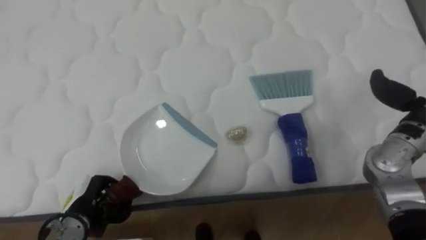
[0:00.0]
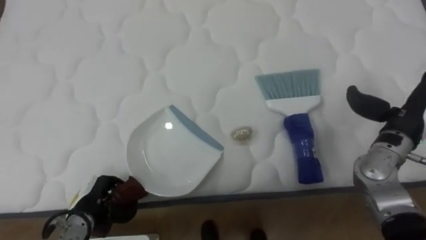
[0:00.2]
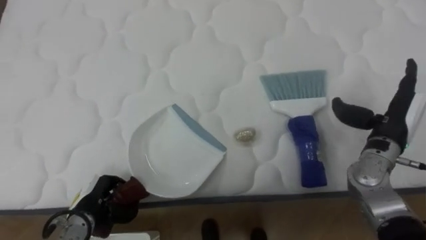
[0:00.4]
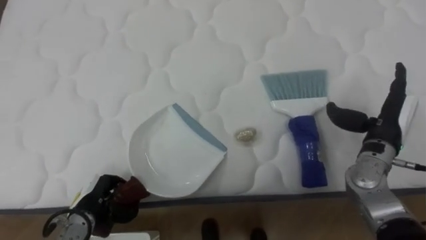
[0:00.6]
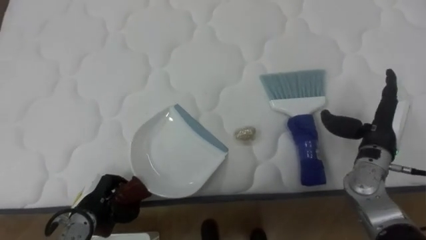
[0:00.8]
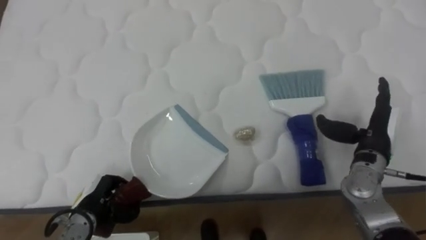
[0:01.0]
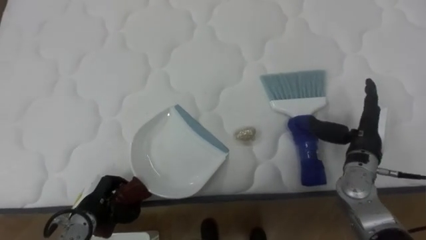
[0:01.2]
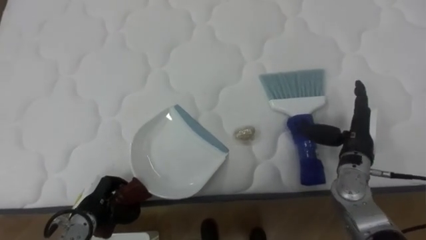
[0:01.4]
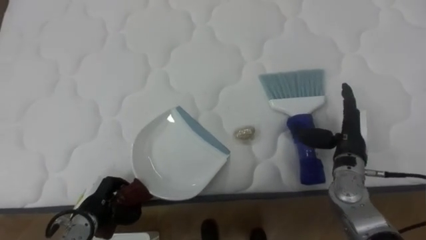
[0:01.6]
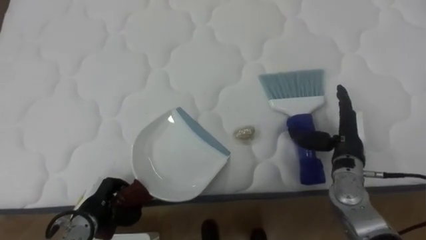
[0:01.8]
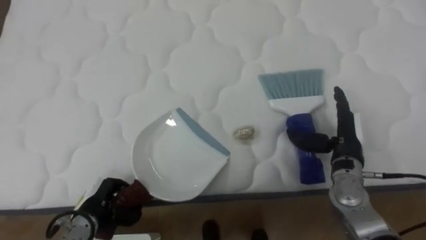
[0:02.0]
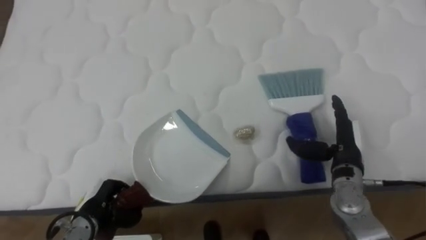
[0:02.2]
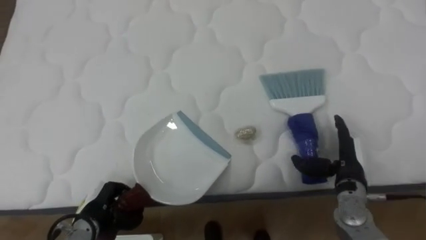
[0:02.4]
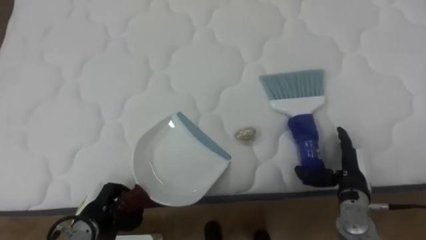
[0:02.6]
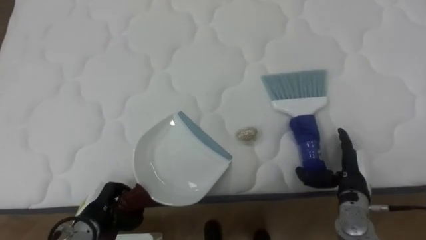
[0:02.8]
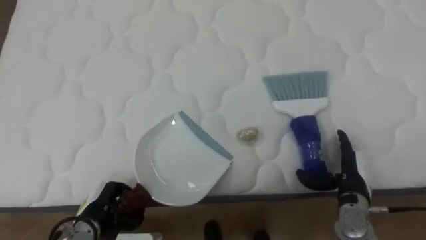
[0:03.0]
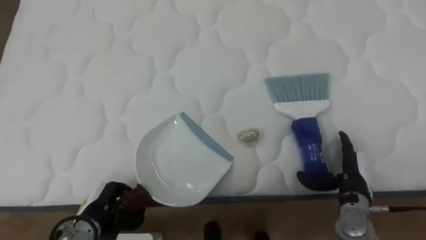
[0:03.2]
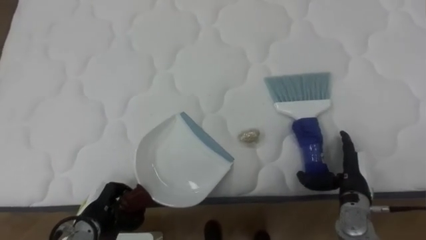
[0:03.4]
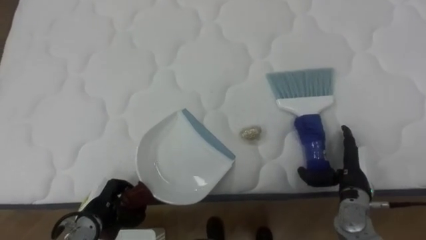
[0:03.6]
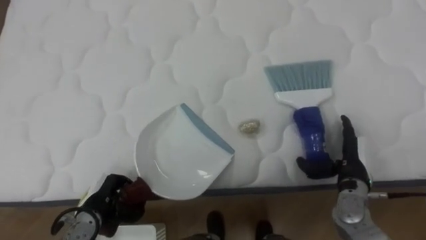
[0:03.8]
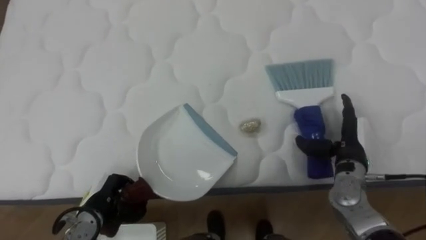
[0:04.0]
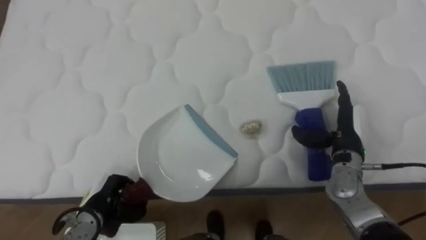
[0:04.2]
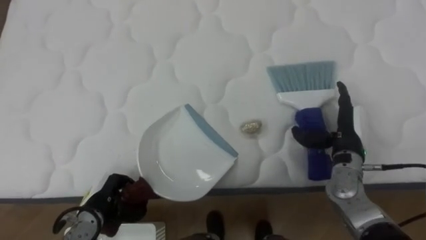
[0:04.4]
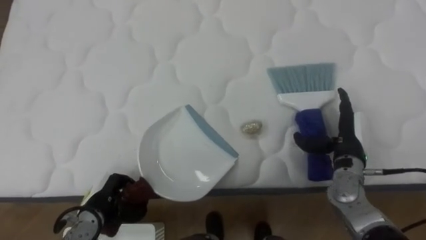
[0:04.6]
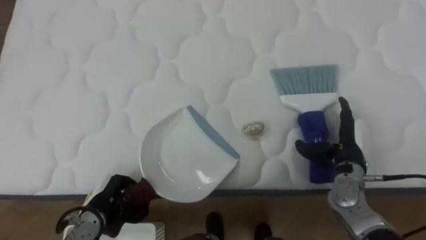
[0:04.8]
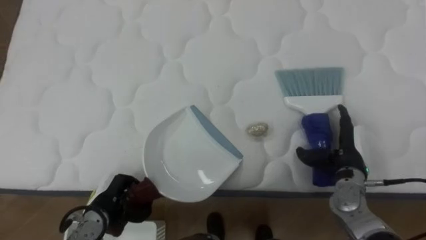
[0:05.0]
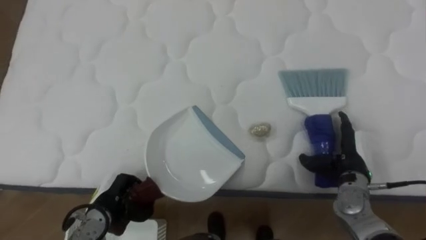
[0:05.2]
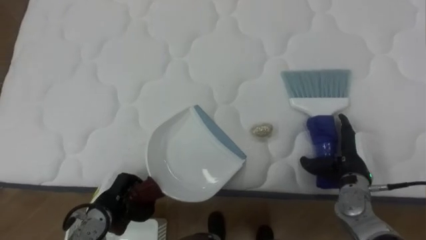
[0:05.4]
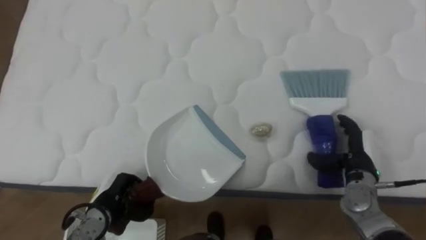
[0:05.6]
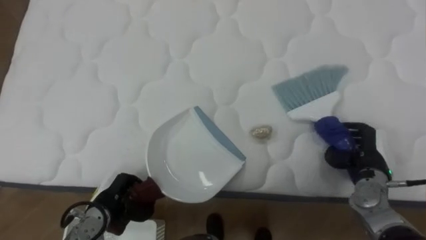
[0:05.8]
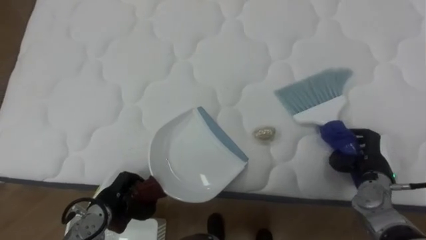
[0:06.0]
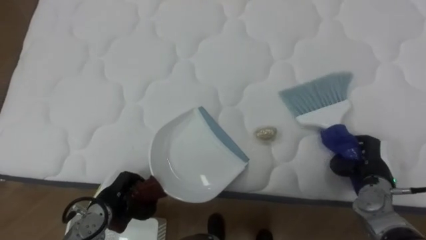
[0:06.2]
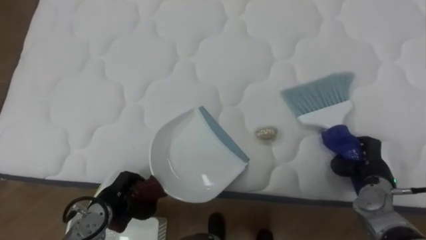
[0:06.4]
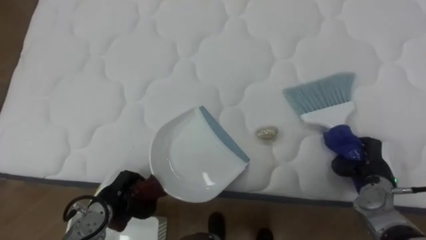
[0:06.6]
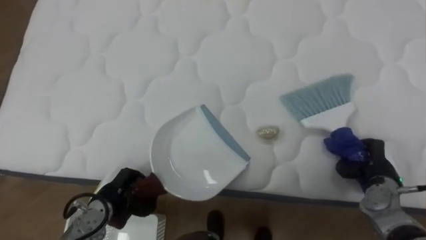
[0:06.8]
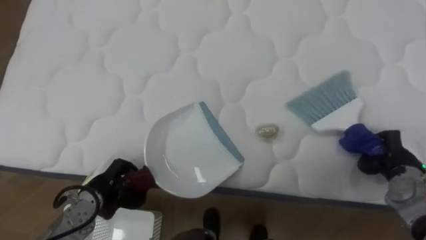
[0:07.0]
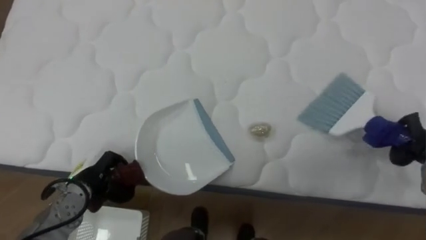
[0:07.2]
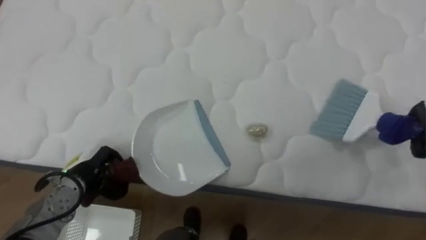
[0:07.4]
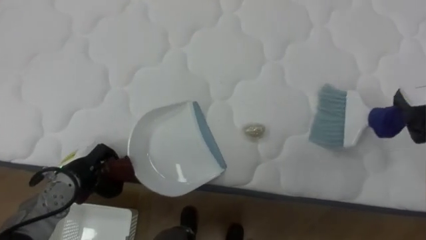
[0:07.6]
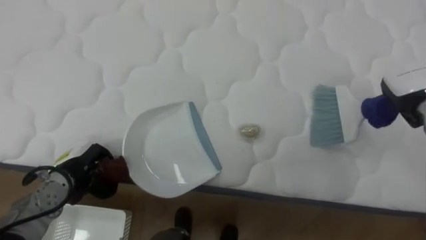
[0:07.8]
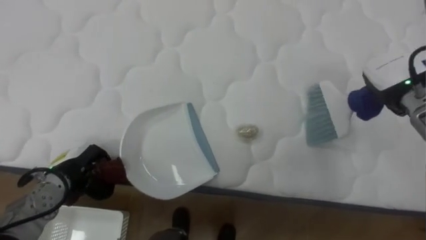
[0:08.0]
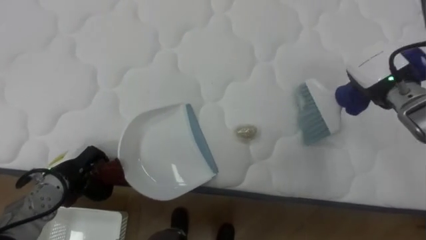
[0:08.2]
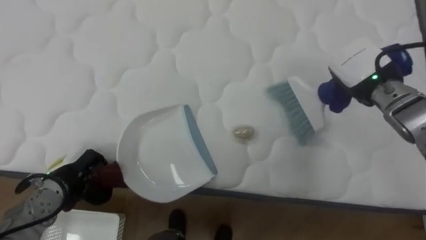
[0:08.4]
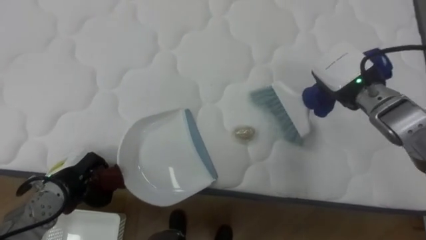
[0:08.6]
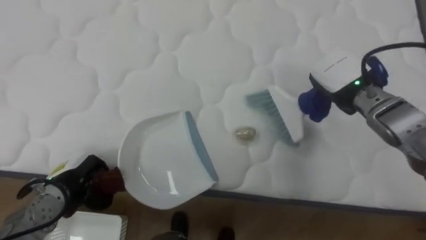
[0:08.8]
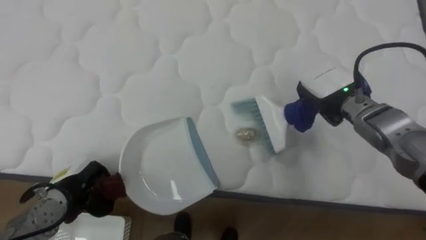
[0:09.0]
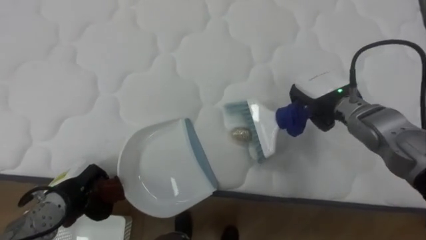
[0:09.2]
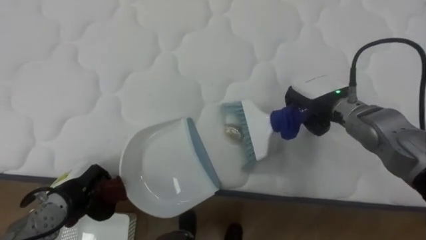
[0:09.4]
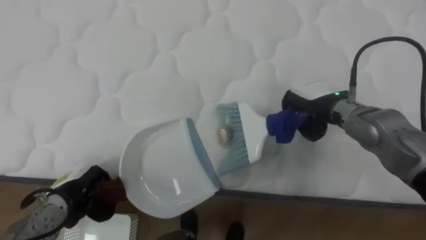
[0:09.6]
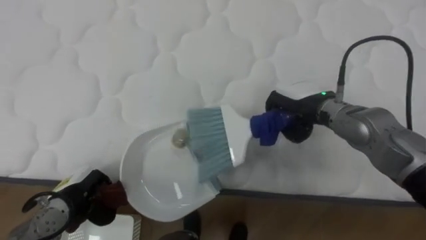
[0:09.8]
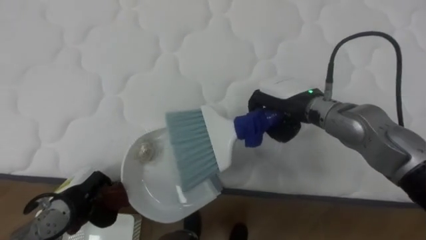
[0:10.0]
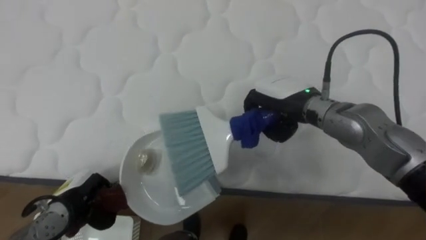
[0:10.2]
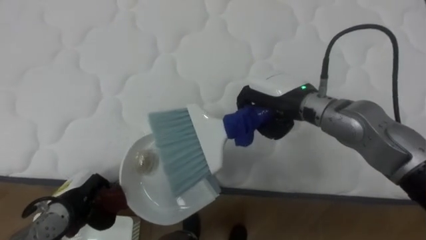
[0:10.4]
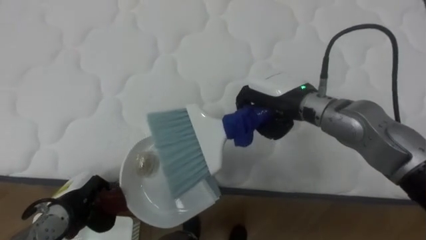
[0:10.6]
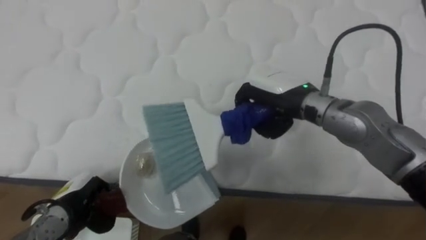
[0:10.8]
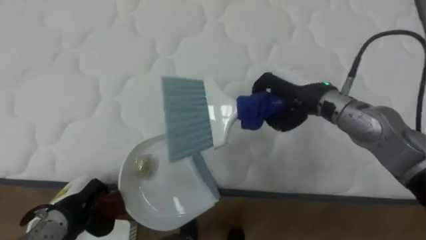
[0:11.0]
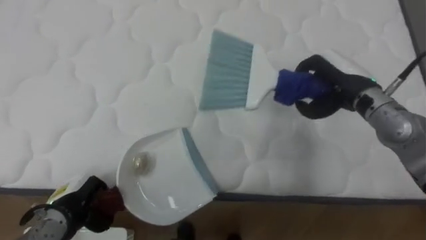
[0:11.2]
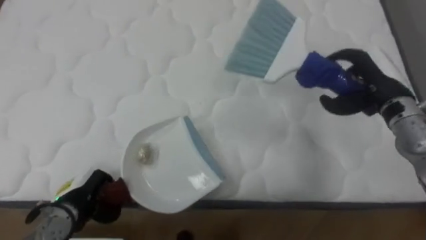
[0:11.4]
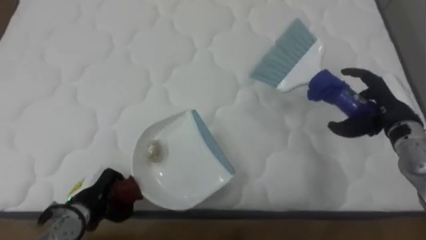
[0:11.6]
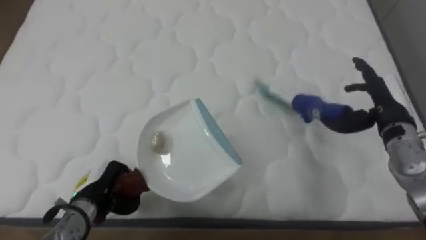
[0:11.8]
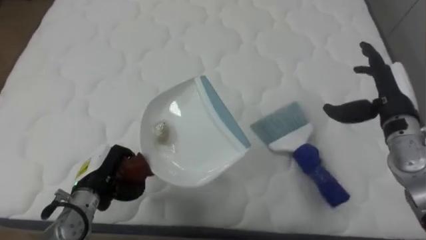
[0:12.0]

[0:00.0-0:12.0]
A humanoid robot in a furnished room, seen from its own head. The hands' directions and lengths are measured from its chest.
Task of the whole recording: Pick up the brush on your right and the dustpan on your left. Use the brush to sweep the crumpled paper on the bed into the dustpan, then turn left and empty it into the basket.
0:01.6 to 0:03.0: The right hand goes about 10 cm downward and backward.
0:03.0 to 0:04.4: The right hand moves upward and forward, about 10 cm.
0:04.4 to 0:06.0: The right hand moves to the right and downward, some 10 cm, and closes up.
0:06.0 to 0:07.6: The left hand shifts about 10 cm upward and to the left.
0:07.6 to 0:09.0: The right hand heads to the left, covering approximately 20 cm.
0:09.0 to 0:10.4: The right hand moves to the left, some 10 cm.
0:10.4 to 0:12.0: The right hand shifts about 20 cm to the right, and opens up. The left hand moves to the right, approximately 5 cm.

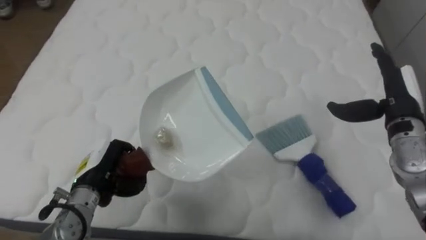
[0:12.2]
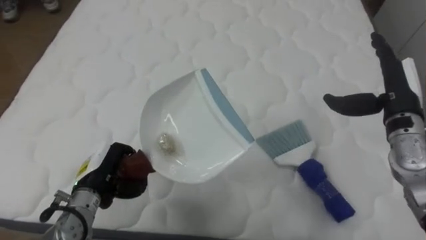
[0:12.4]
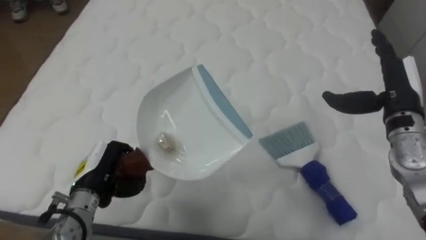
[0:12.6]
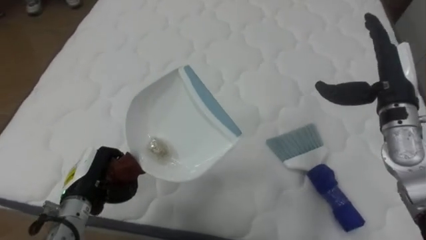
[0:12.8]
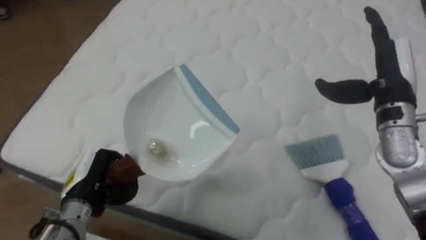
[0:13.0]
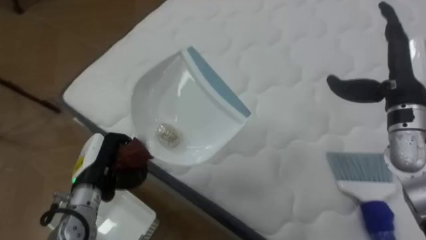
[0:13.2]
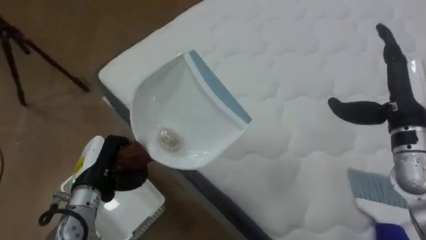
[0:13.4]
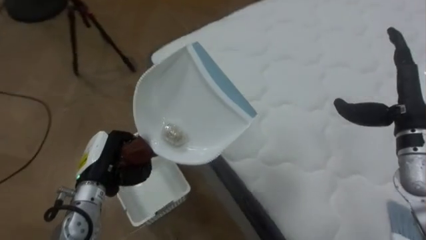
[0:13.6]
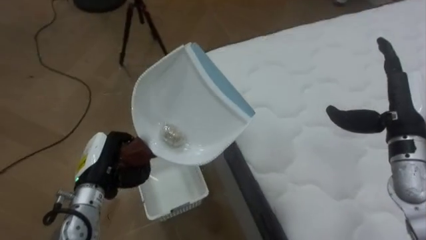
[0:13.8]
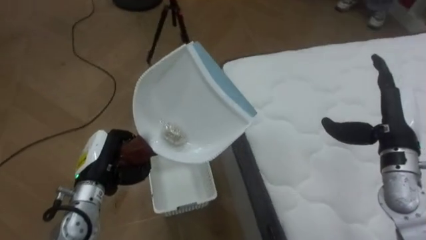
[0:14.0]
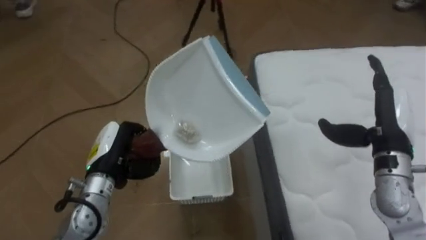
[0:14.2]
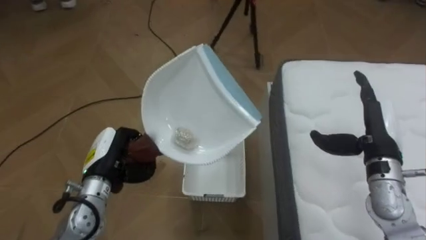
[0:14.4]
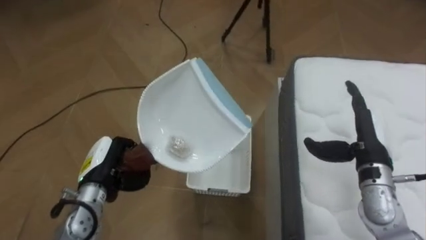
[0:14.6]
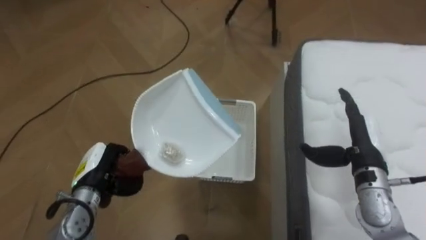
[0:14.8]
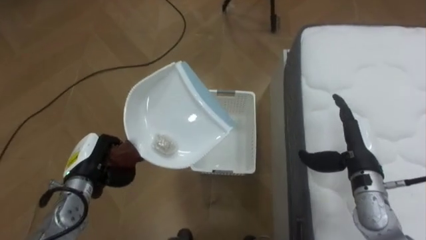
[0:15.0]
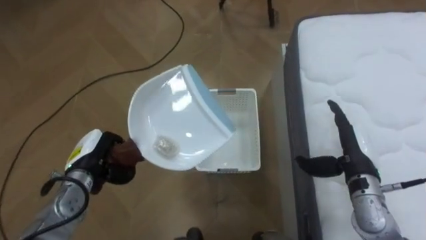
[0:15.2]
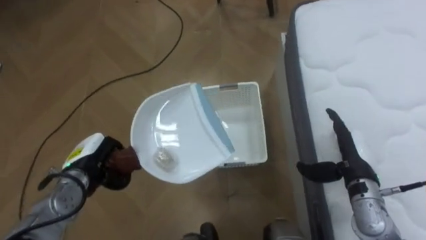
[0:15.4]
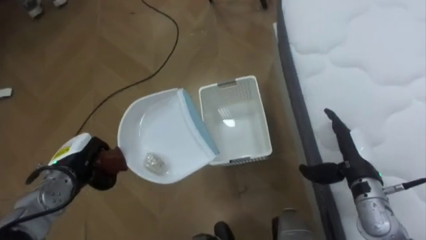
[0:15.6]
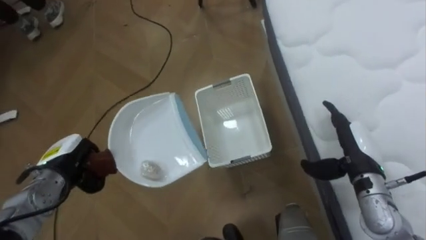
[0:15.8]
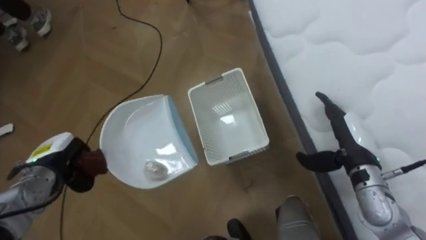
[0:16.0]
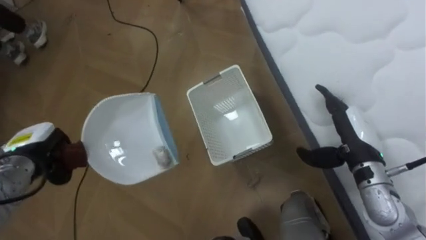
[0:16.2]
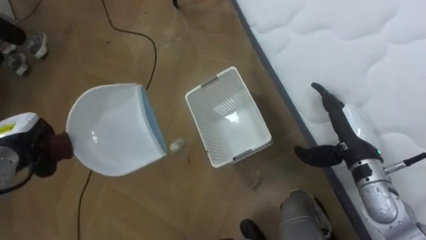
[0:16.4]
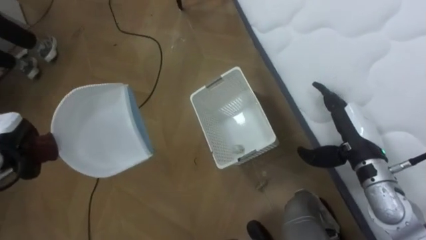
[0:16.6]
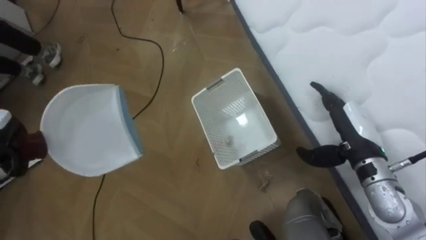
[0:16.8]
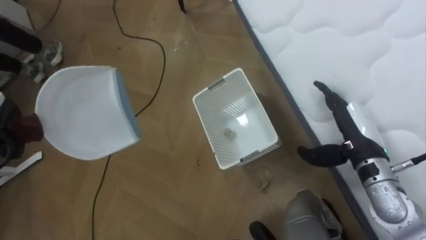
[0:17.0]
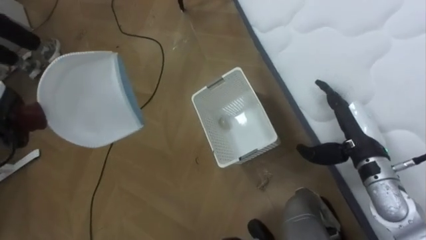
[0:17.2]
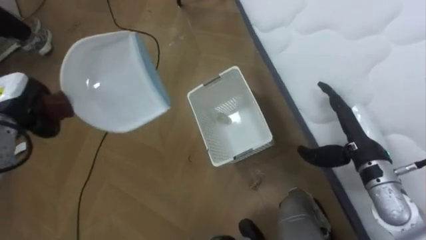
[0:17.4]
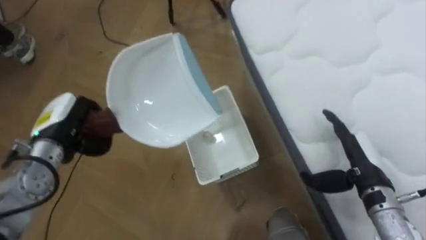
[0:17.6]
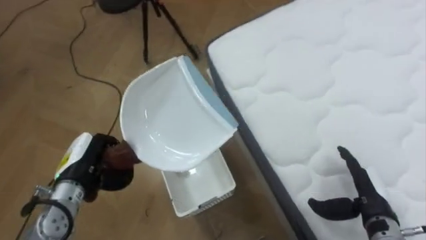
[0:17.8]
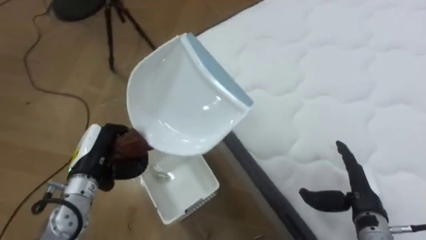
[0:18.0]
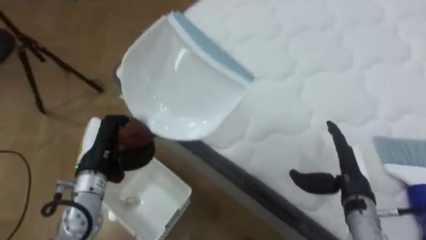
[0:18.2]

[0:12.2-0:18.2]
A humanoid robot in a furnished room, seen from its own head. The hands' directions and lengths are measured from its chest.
Task of the whole recording: Pick up the brush on your right and the dustpan on your left. Use the brush to sweep the crumpled paper on the bed into the dustpan, then turn left and empty it into the basket.
0:12.2 to 0:13.8: The robot's body swings approximately 60 degrees to its left.
0:13.8 to 0:15.2: The robot's body swings approximately 35 degrees to its left. The right hand shifts roughly 10 cm downward.
0:16.6 to 0:18.2: The robot rotates approximately 50 degrees to its right. The right hand heads downward, covering some 5 cm.
